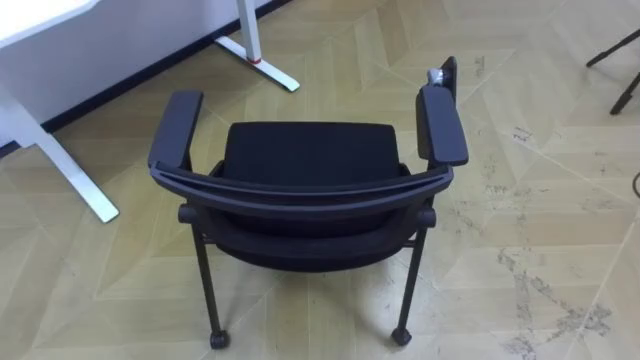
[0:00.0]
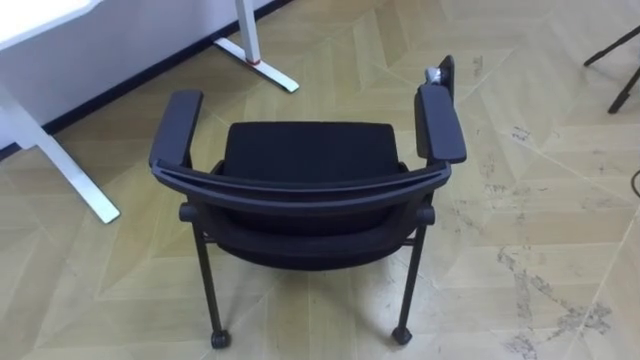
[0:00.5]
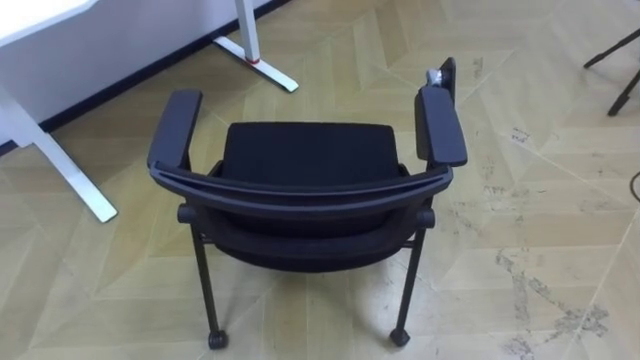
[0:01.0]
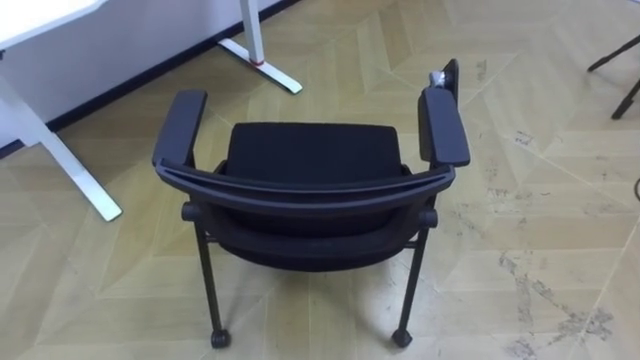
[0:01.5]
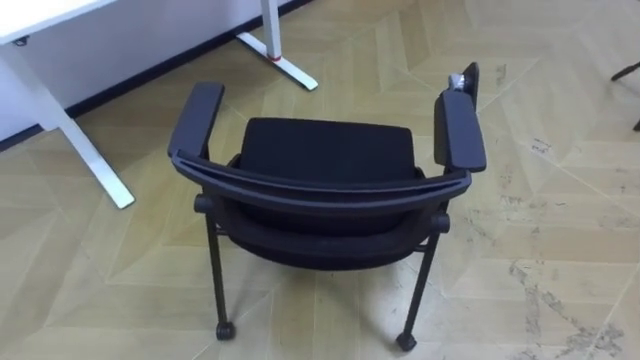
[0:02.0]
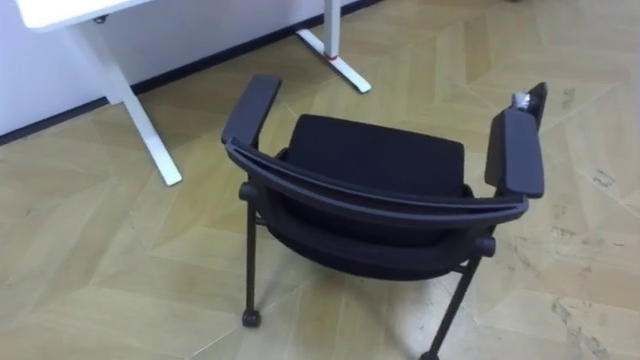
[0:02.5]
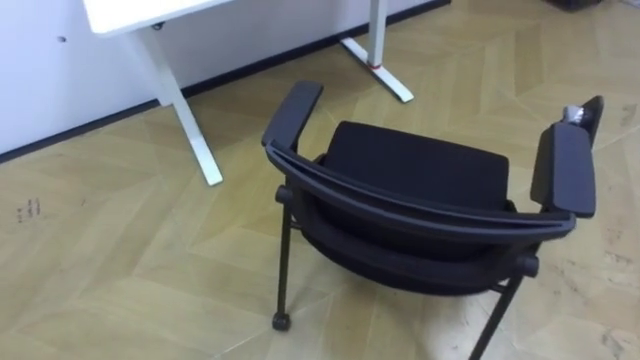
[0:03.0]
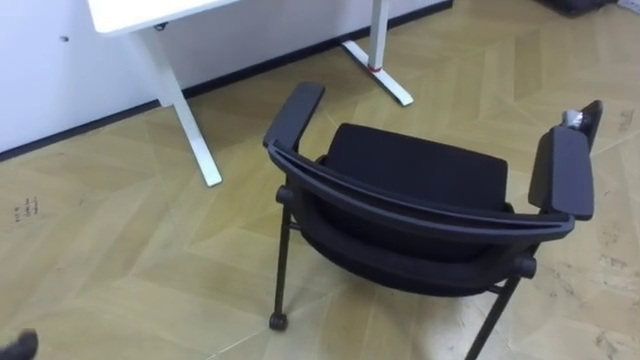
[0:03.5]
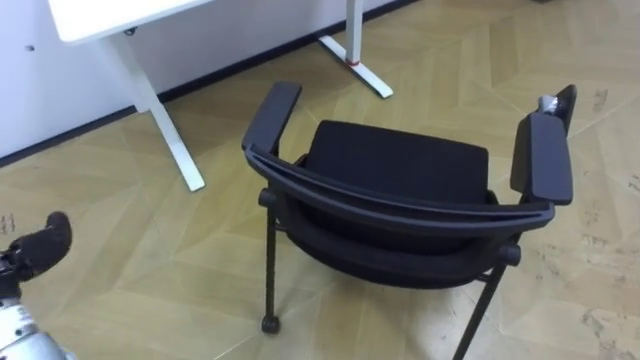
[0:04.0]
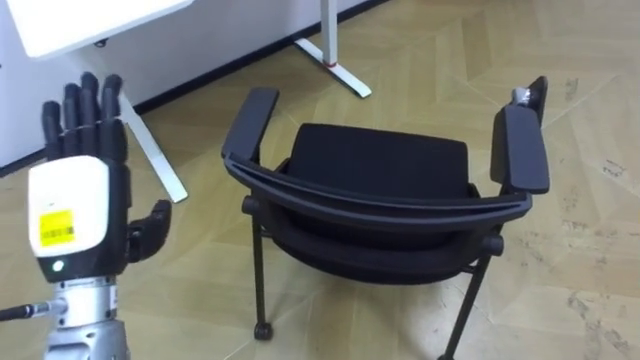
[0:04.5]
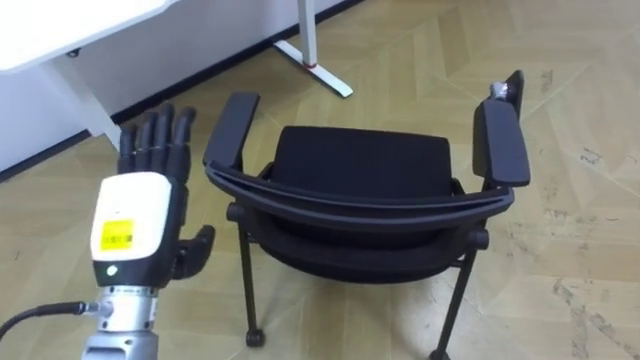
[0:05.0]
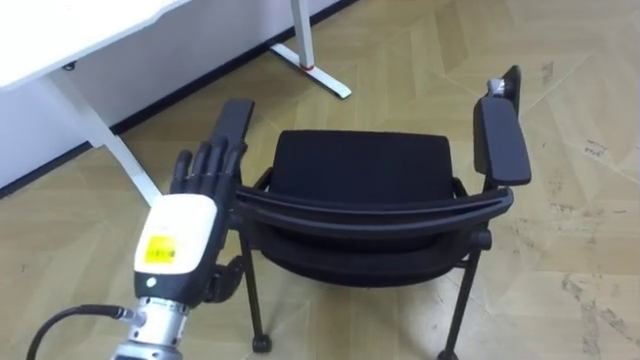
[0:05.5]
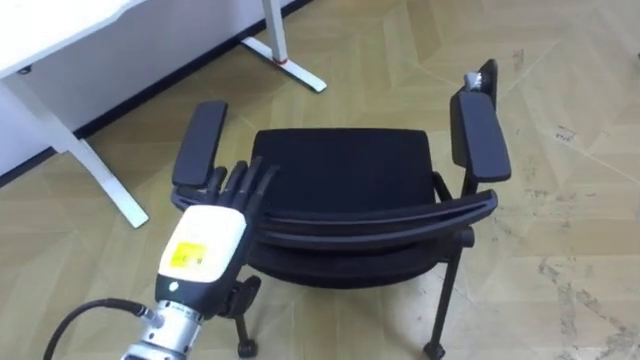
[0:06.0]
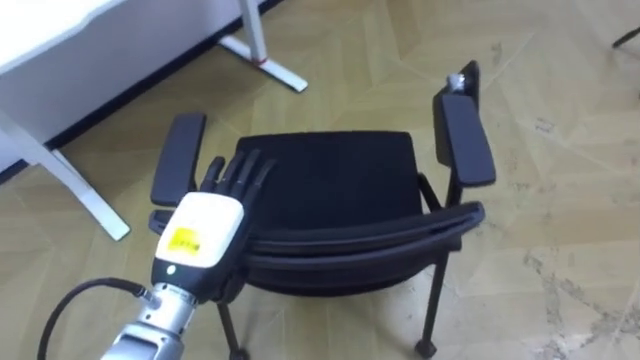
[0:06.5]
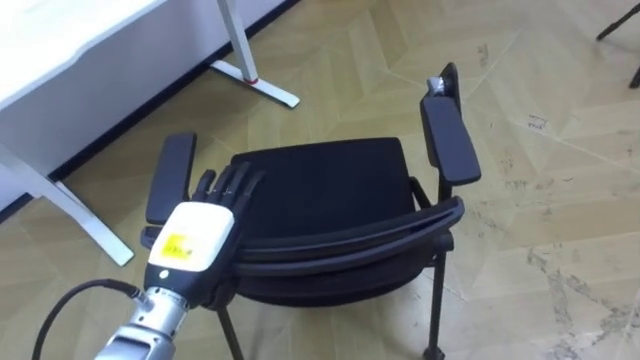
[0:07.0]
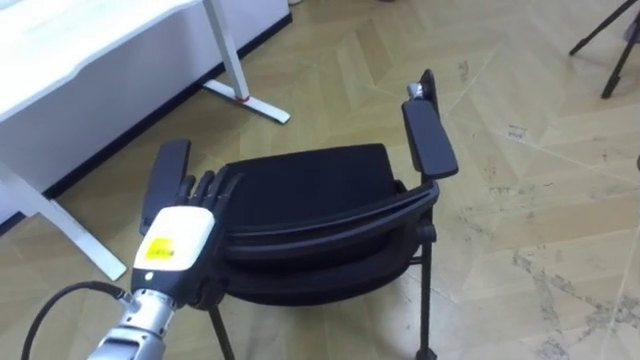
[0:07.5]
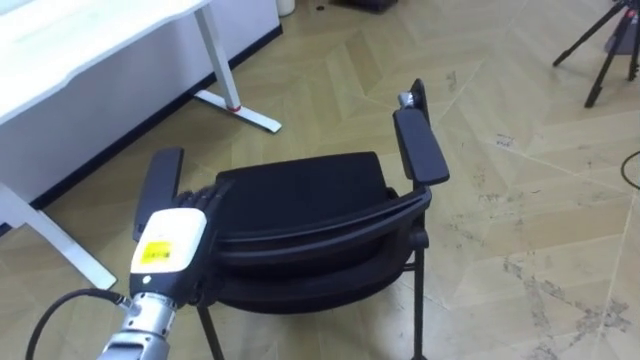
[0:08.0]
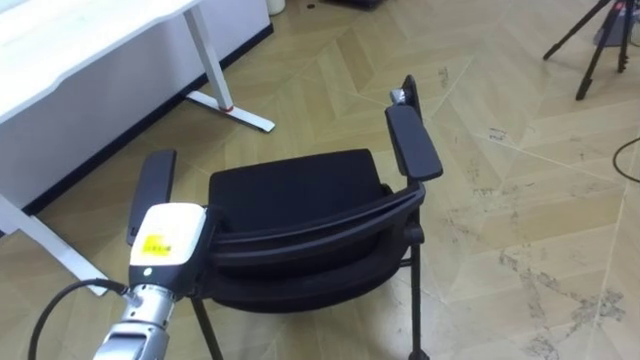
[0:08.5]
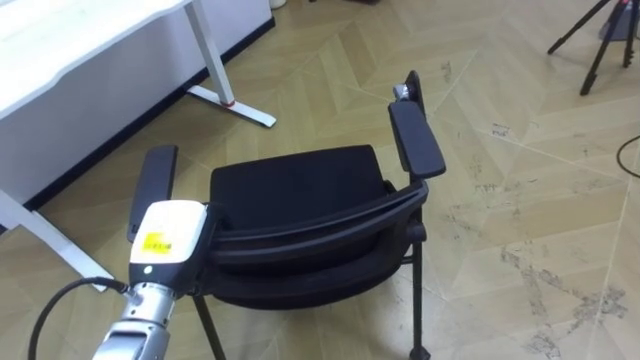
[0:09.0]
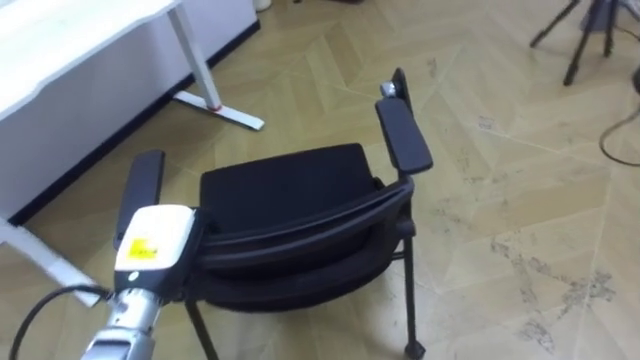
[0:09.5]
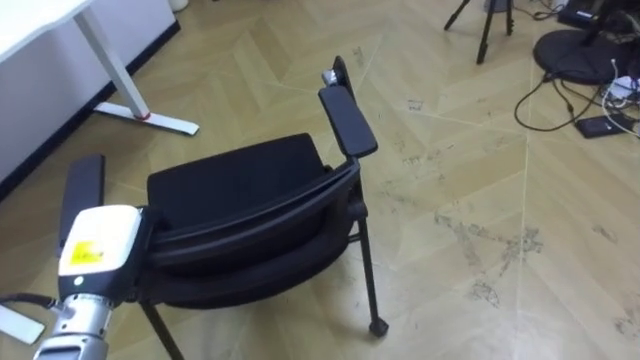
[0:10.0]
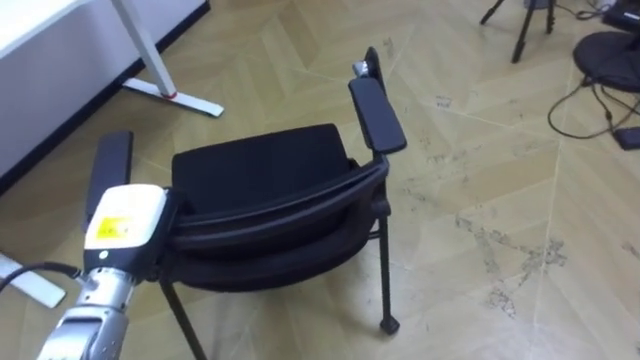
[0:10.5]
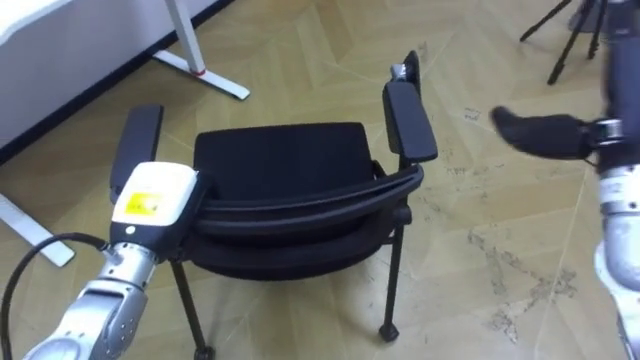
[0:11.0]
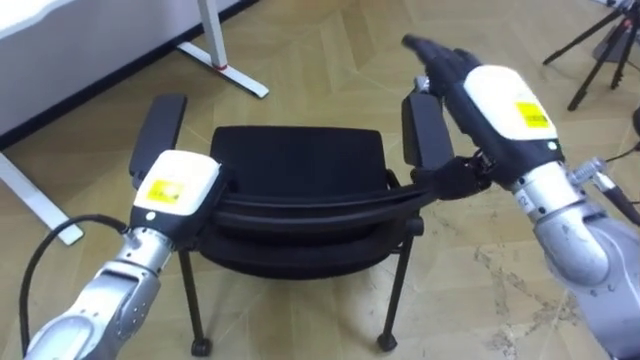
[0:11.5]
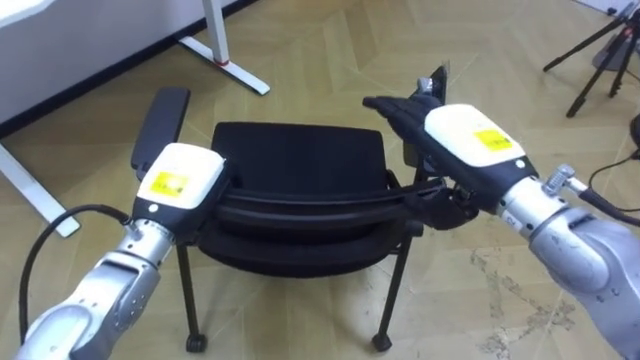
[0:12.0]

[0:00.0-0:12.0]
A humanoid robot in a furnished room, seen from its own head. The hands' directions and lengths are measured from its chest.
Task of the whole recording: Push the chair under the table.
0:06.0 to 0:08.0: The left hand moves about 5 cm.
0:08.0 to 0:10.0: The left hand is displaced to the left by about 5 cm, and closes.
0:10.0 to 0:12.0: The left hand moves to the right and forward, some 10 cm.

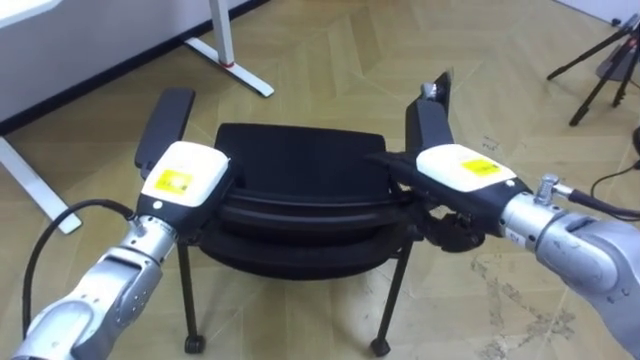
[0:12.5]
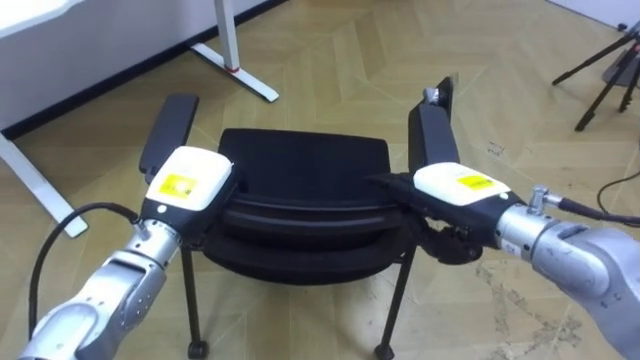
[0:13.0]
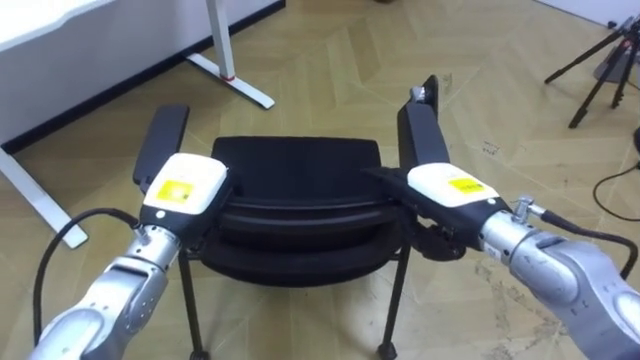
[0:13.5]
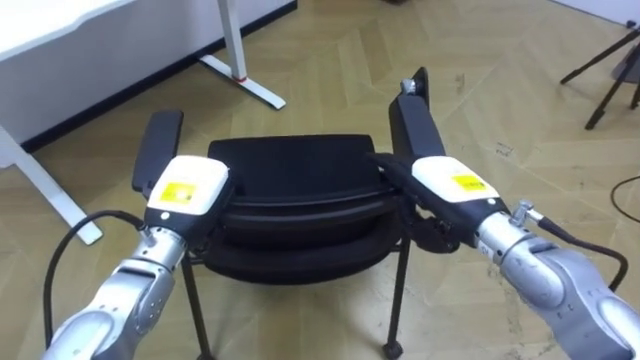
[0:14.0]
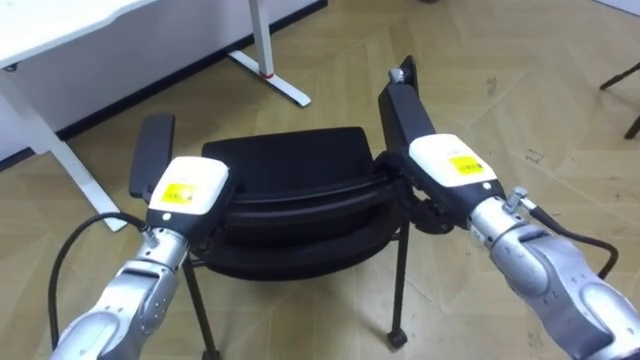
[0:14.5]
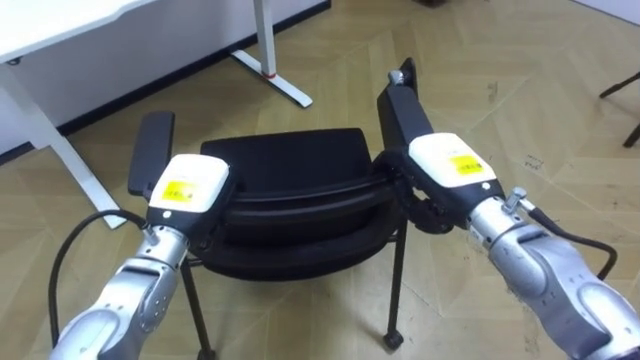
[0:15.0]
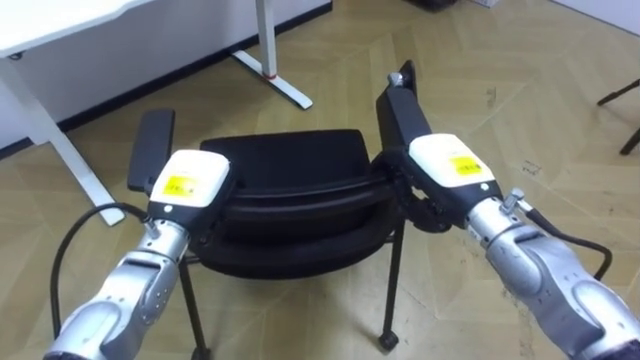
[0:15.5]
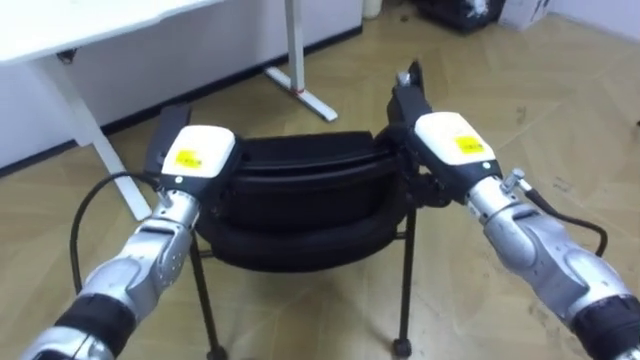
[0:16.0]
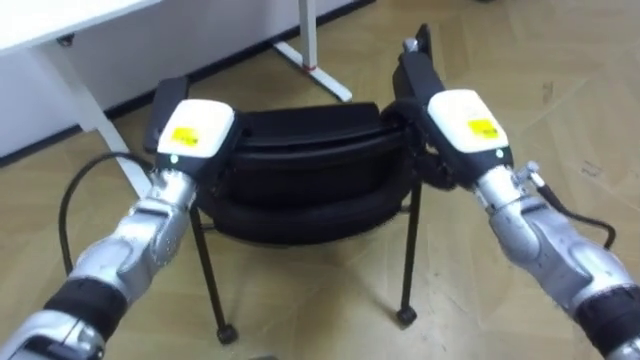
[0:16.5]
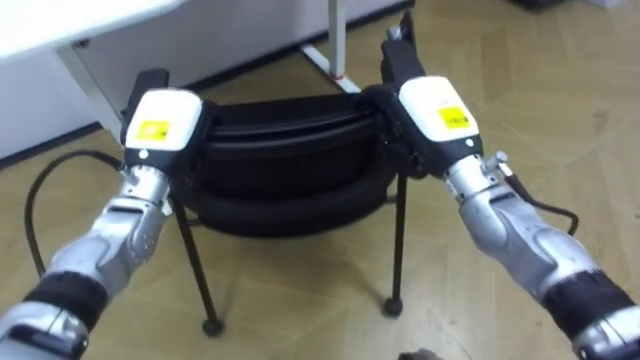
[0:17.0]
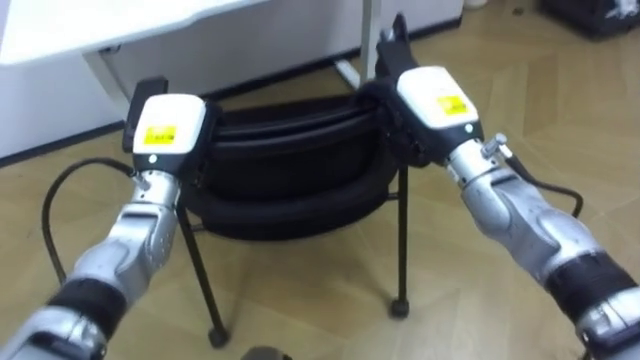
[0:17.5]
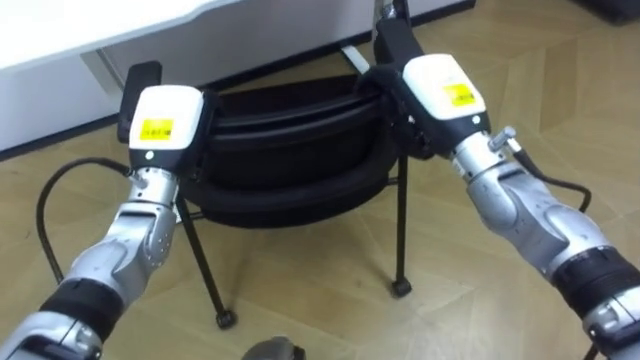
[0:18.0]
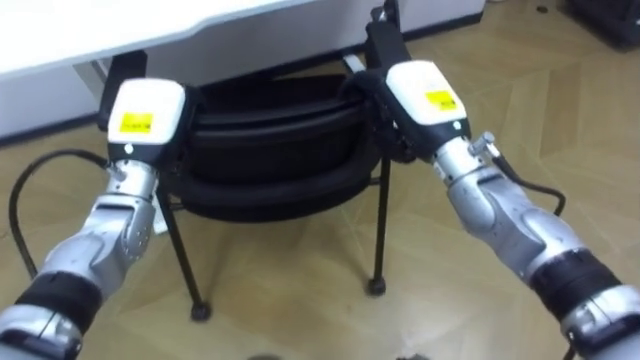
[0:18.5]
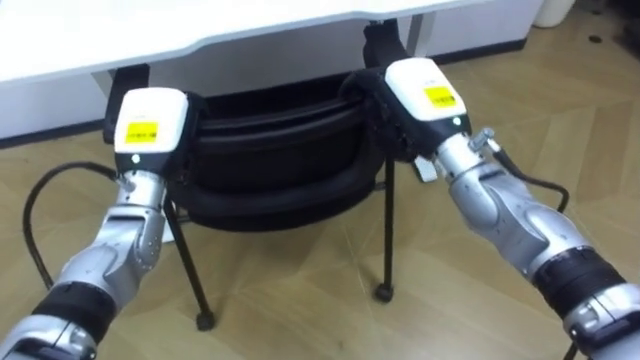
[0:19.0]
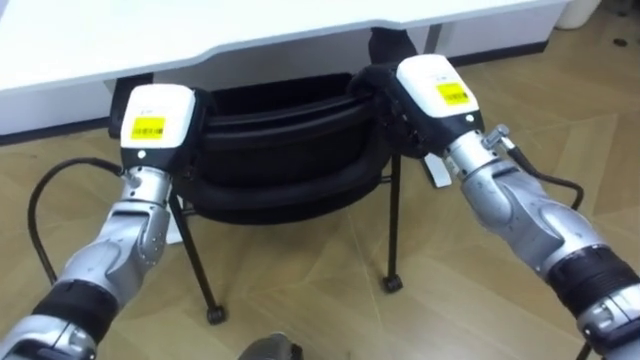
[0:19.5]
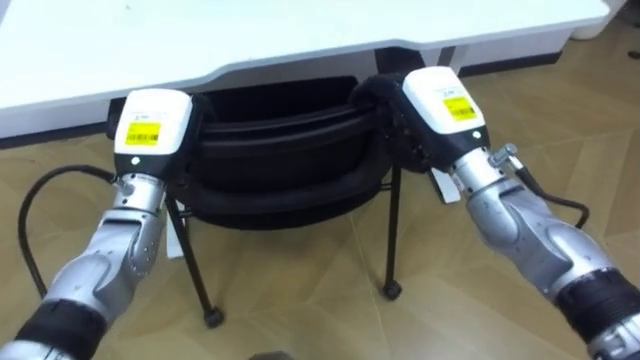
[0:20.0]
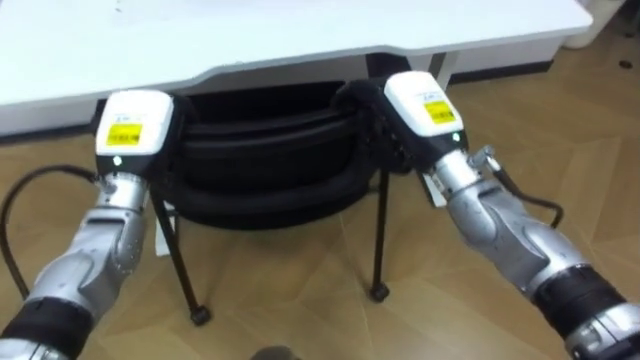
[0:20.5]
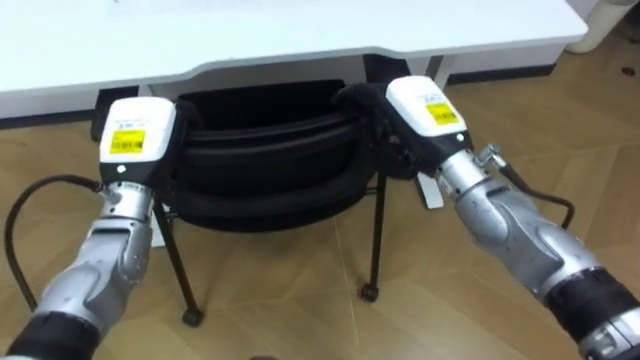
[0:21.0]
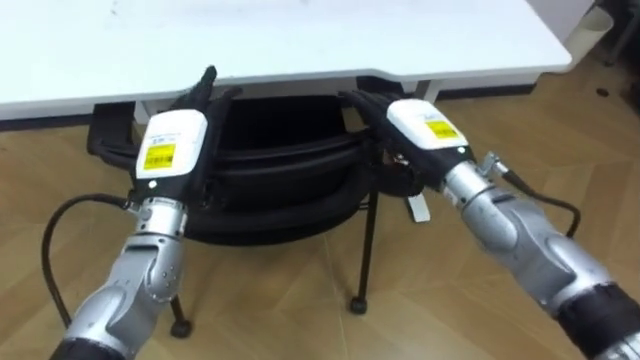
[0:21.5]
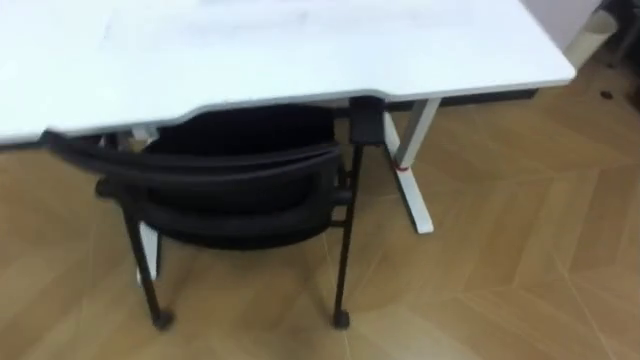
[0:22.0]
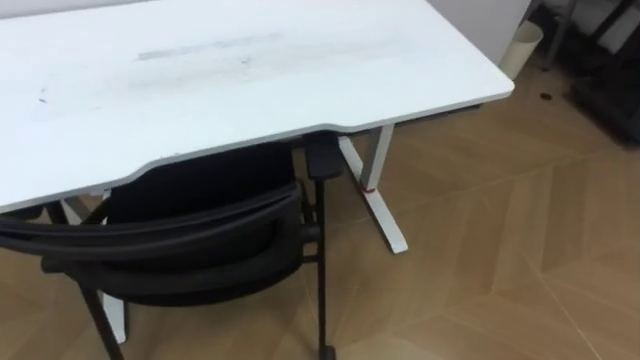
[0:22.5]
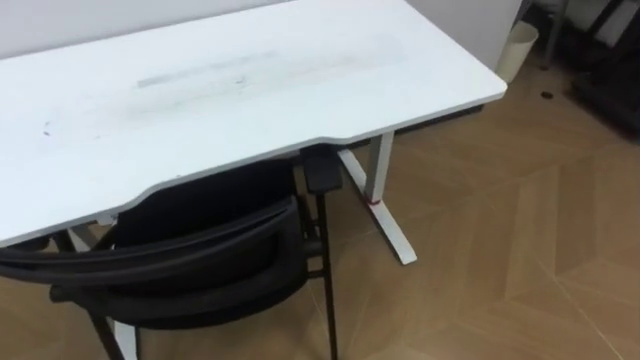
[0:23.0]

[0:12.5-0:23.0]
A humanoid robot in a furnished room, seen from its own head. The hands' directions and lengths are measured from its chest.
Task of the whole recording: Push the chair under the table.
0:14.5 to 0:16.5: The left hand shifts some 5 cm forward.
0:16.5 to 0:19.0: The robot's body swings about 20 degrees to its left. The left hand shifts by about 5 cm; the right hand moves to the left, about 5 cm.
